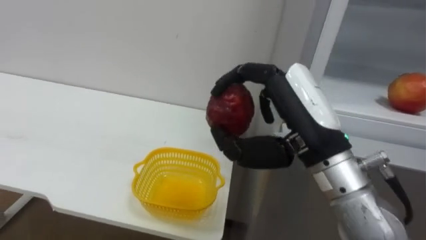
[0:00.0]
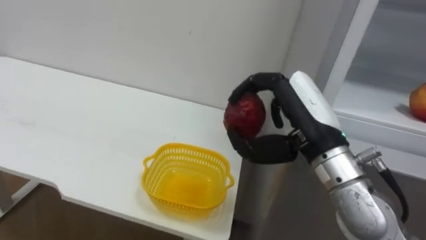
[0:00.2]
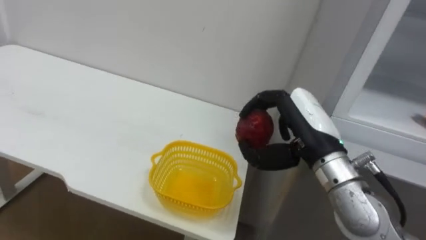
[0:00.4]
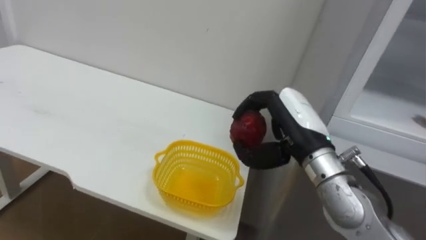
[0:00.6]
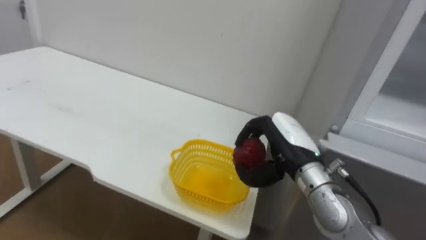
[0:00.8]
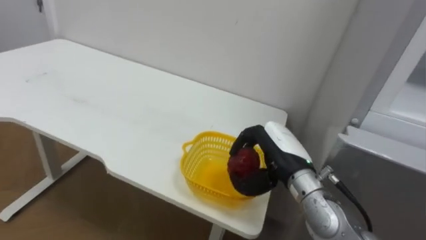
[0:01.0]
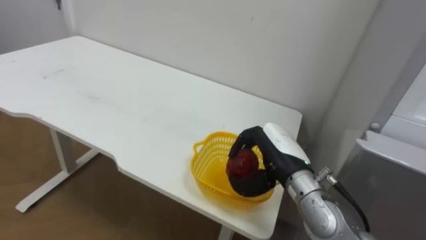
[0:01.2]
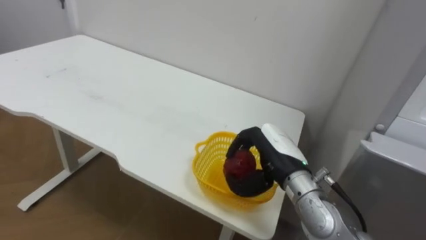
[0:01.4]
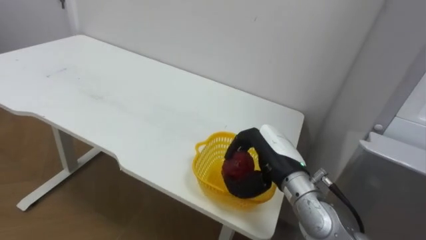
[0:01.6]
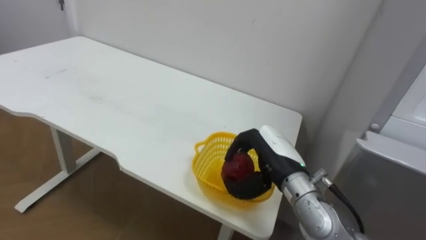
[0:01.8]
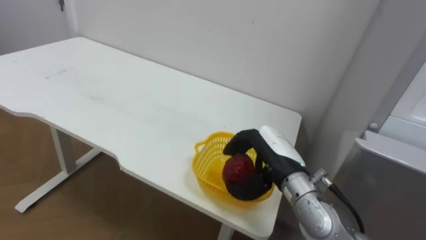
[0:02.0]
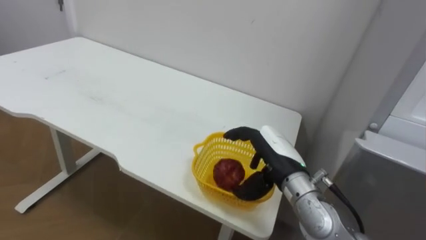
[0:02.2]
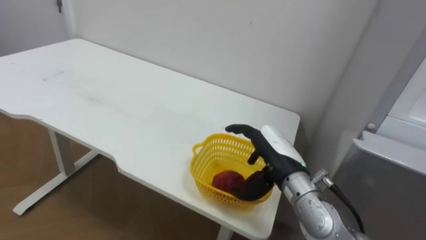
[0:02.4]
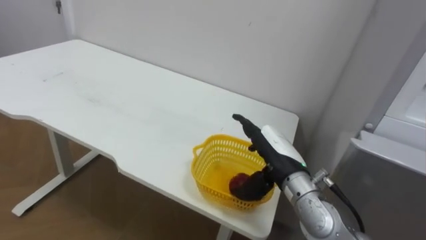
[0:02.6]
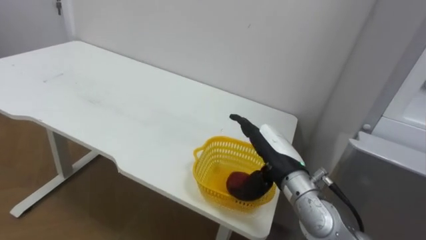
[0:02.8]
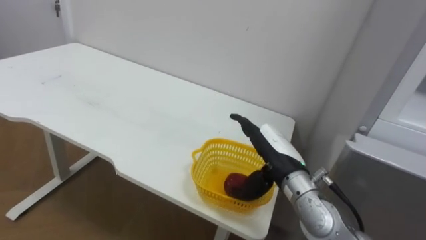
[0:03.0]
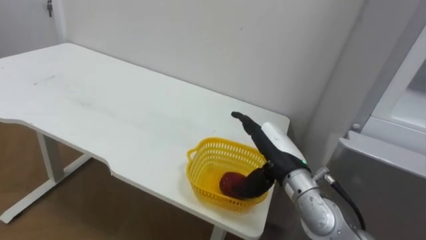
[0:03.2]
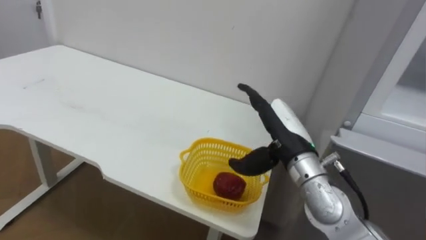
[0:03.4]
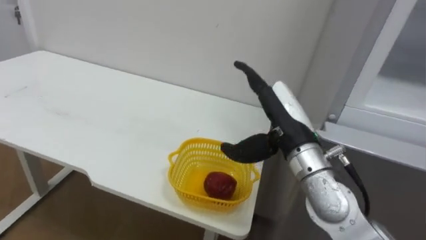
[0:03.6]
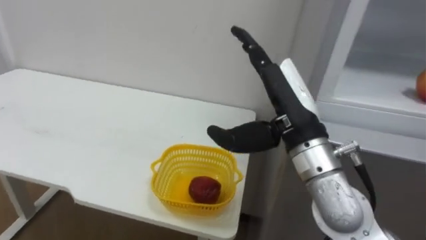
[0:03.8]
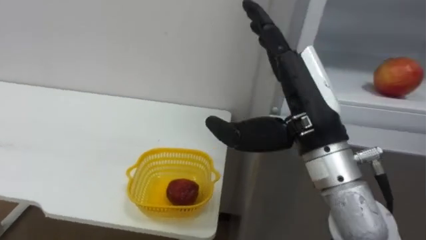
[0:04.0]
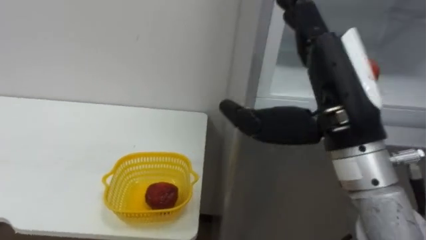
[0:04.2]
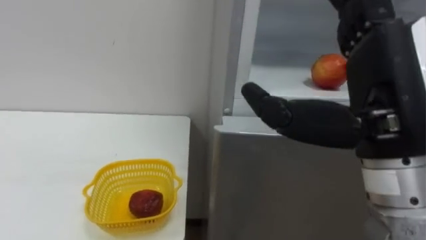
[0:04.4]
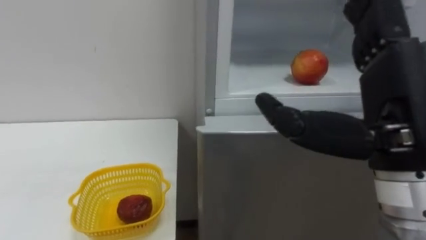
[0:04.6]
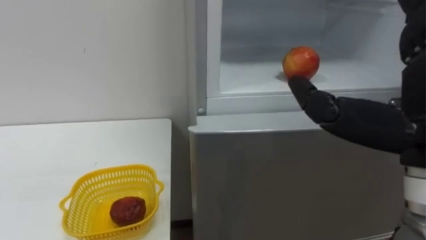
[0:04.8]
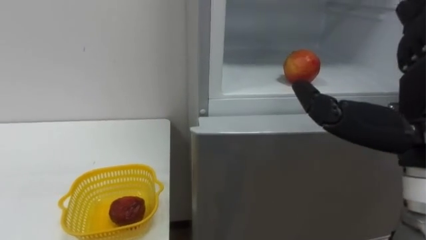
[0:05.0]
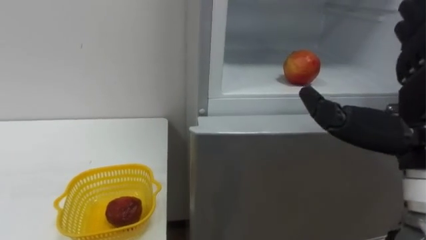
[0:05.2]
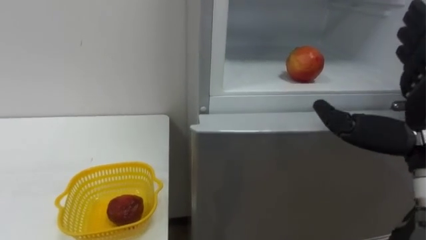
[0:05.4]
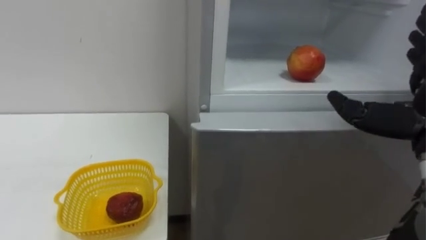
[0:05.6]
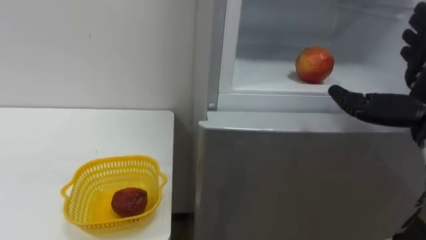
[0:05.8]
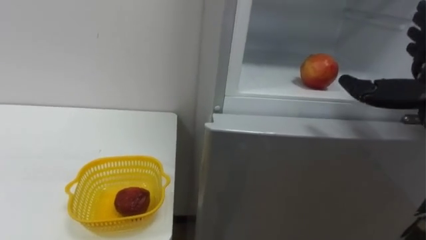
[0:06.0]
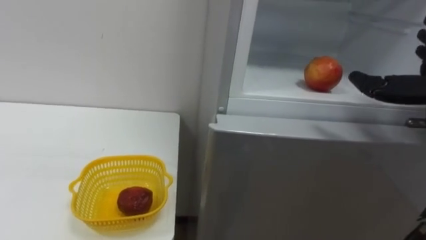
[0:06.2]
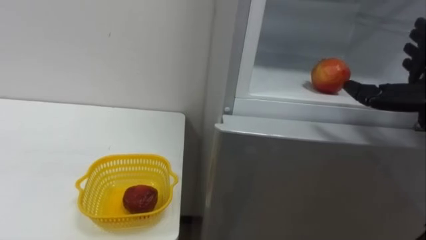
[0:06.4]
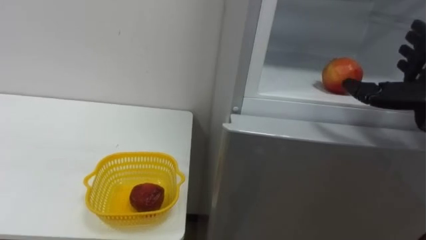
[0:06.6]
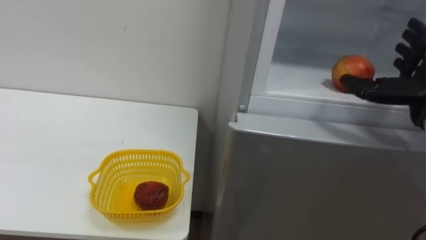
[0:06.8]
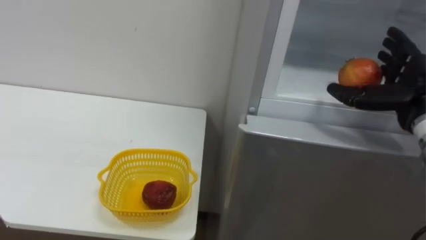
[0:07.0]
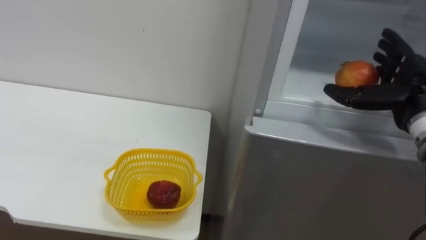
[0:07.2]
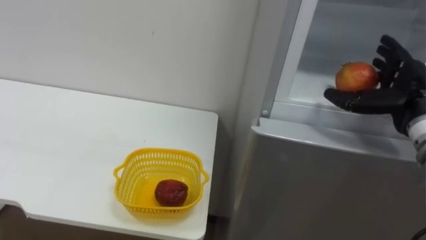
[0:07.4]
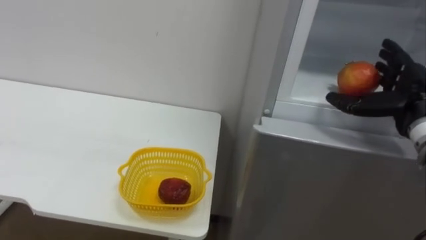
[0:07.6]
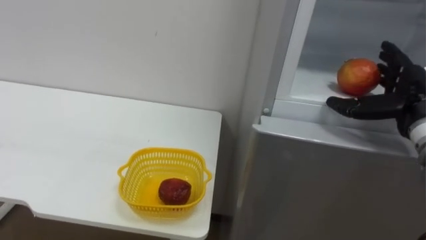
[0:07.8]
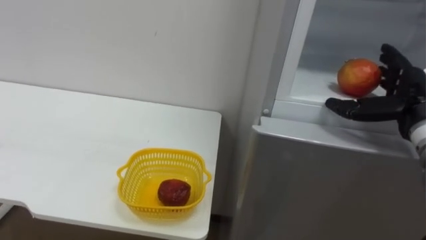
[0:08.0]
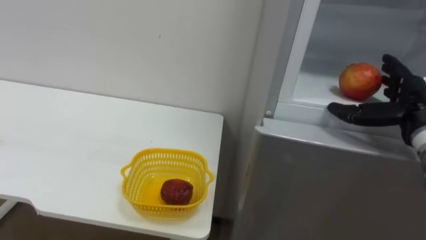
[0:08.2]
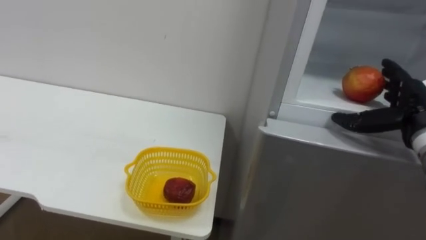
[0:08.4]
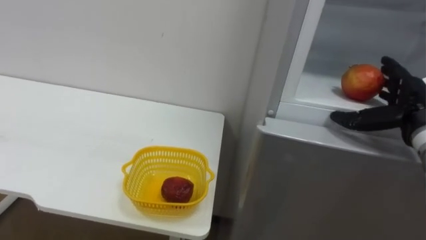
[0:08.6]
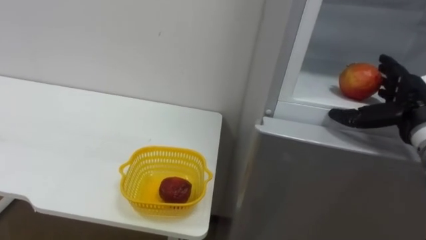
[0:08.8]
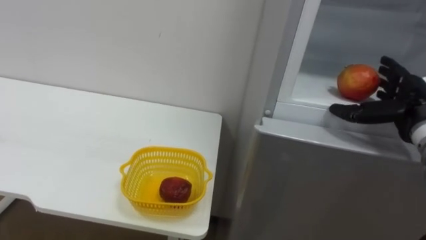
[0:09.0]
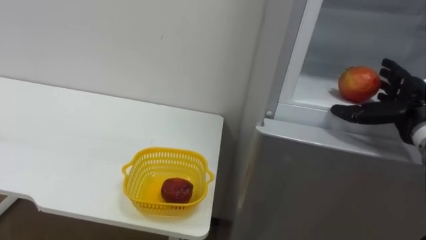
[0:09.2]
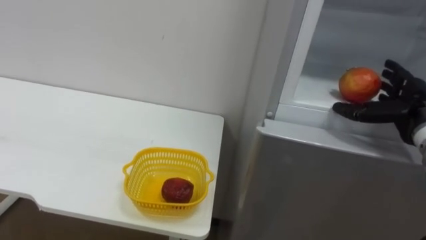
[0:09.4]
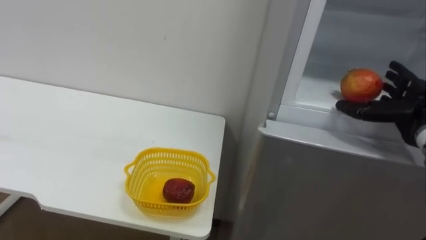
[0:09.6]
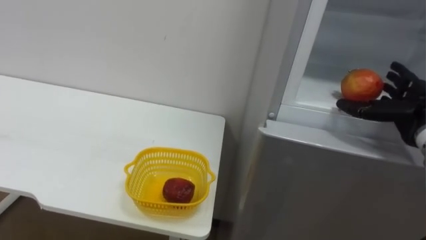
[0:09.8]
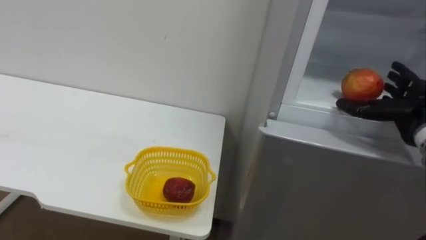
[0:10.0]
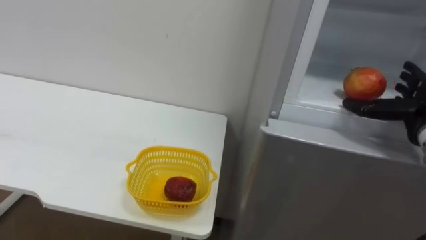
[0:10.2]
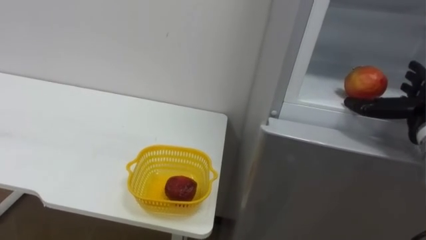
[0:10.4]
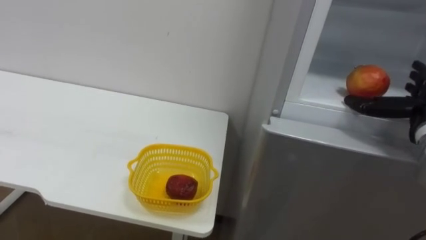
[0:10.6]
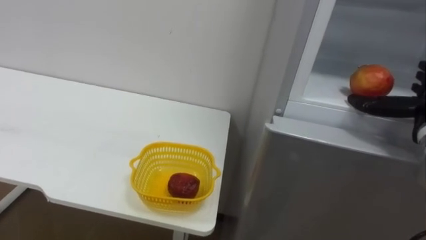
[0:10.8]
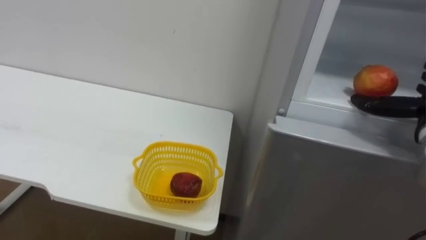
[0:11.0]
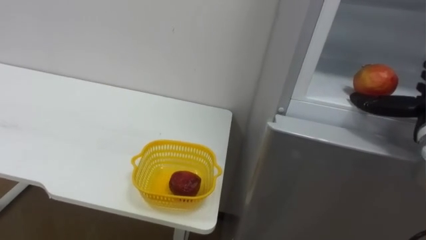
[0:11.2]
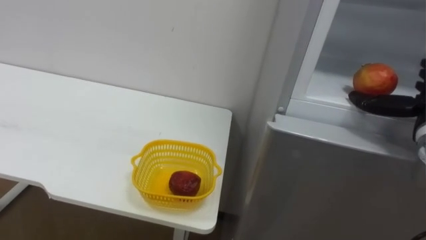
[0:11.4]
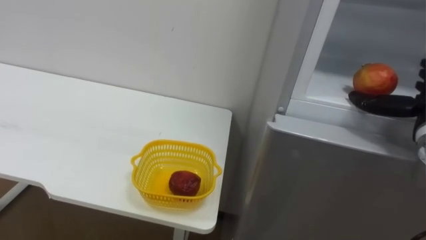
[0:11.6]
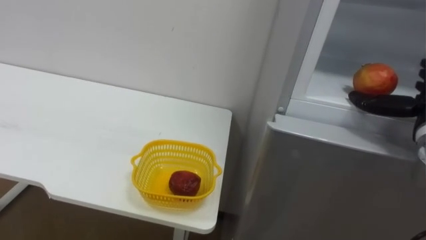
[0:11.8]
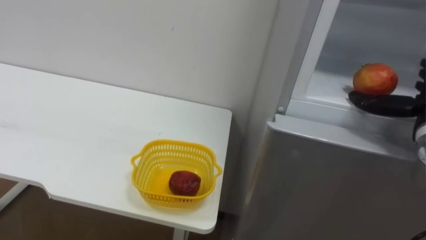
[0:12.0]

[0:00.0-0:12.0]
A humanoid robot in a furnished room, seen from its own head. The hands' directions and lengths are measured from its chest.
Task of the whole recording: Open the refrigerator door, take out the apple and the pomegranate, place them in the fruit basket on the left, and close the refrigerator door.
0:00.0 to 0:01.6: The right hand is displaced downward and forward by approximately 15 cm.
0:01.6 to 0:03.0: The right hand opens up.
0:03.0 to 0:04.4: The right hand moves upward and backward, about 25 cm.

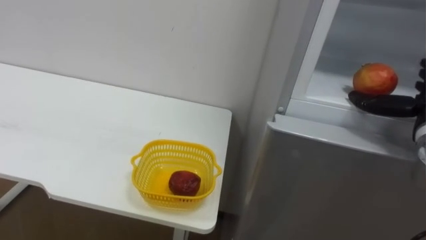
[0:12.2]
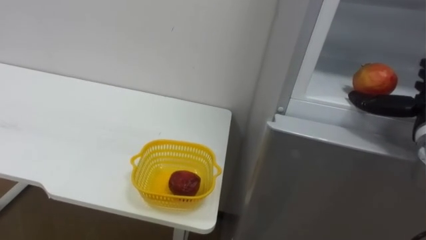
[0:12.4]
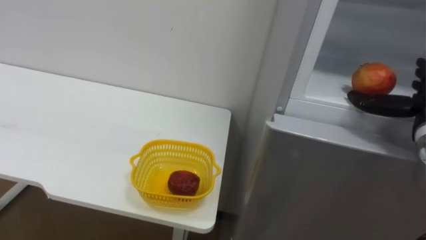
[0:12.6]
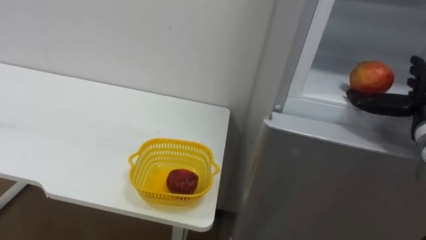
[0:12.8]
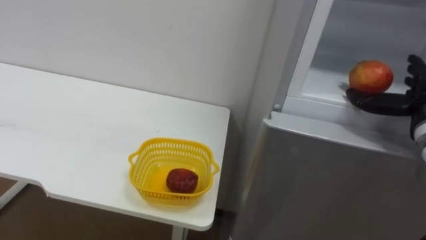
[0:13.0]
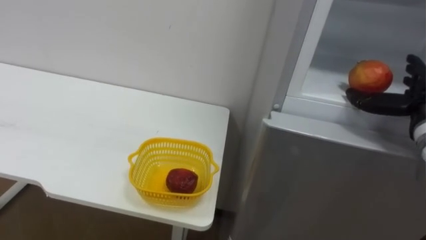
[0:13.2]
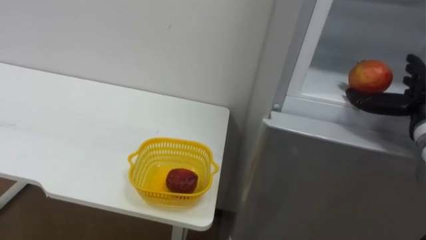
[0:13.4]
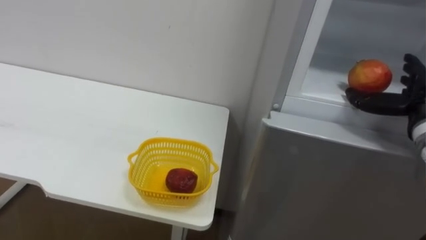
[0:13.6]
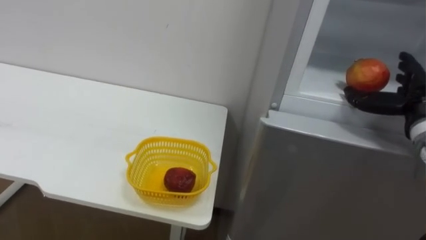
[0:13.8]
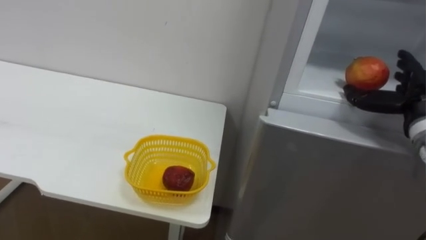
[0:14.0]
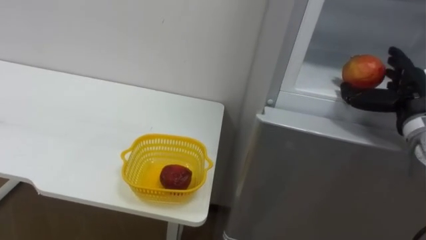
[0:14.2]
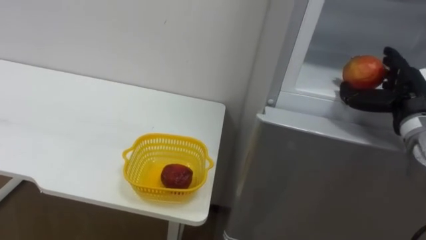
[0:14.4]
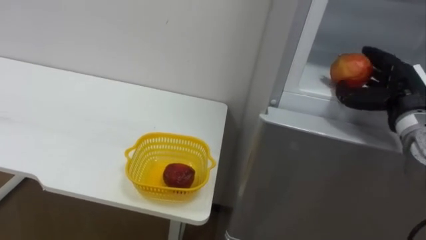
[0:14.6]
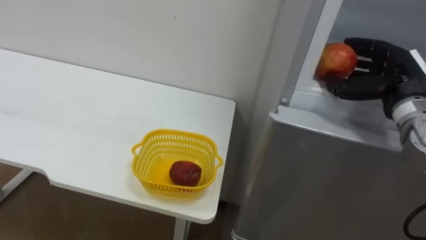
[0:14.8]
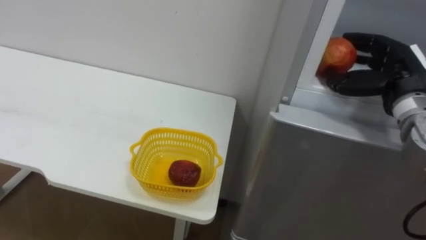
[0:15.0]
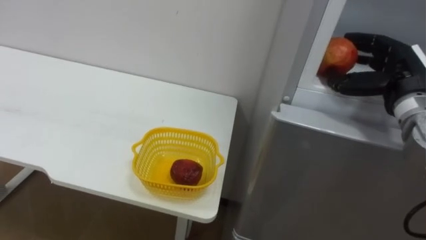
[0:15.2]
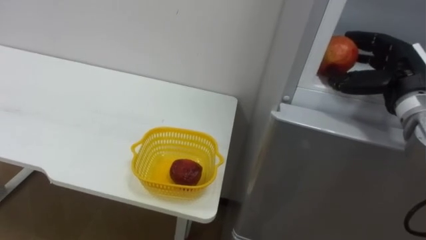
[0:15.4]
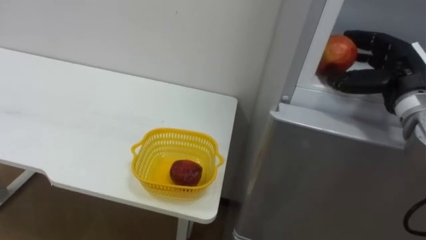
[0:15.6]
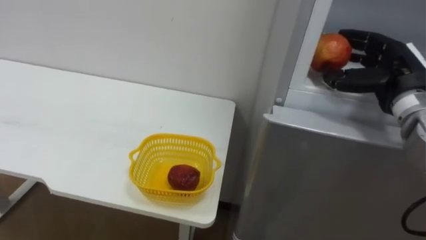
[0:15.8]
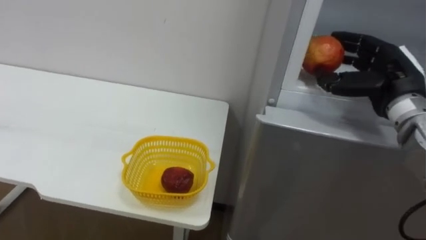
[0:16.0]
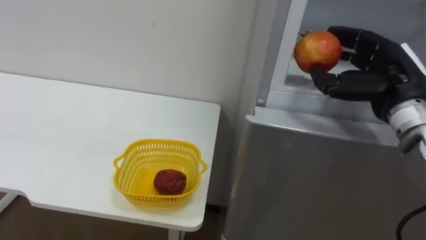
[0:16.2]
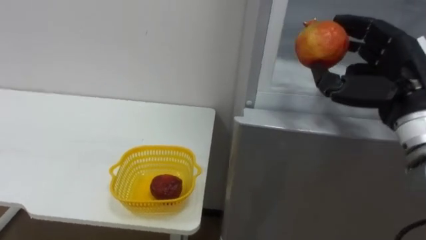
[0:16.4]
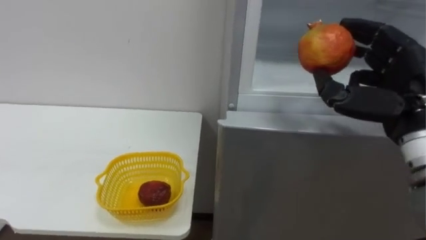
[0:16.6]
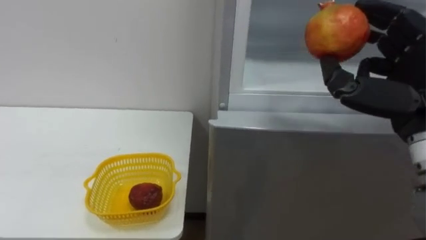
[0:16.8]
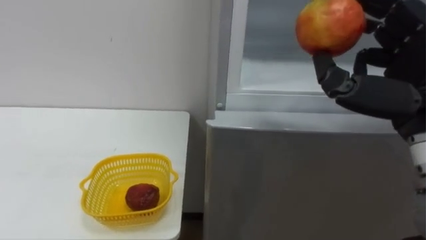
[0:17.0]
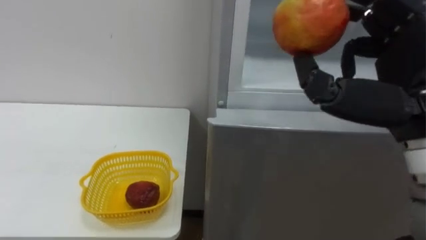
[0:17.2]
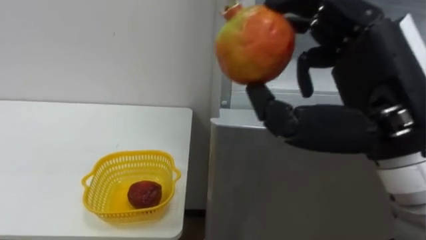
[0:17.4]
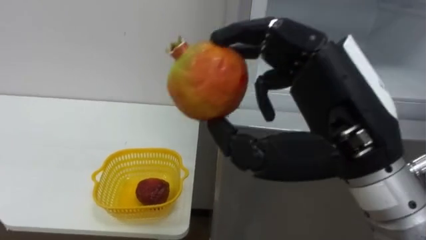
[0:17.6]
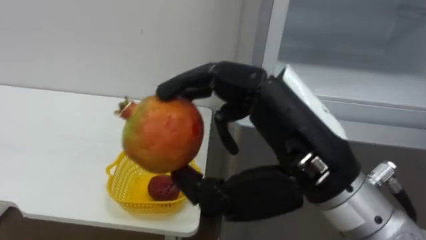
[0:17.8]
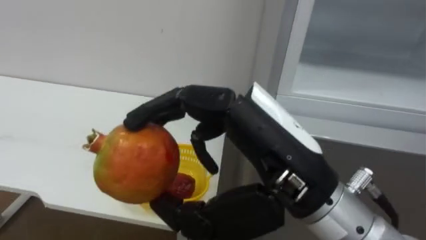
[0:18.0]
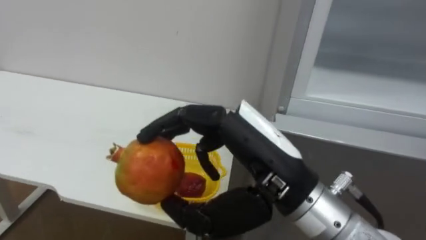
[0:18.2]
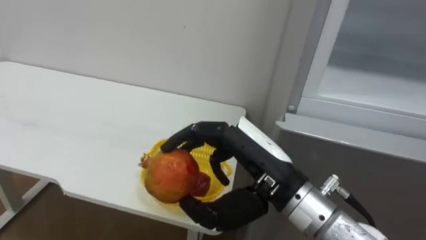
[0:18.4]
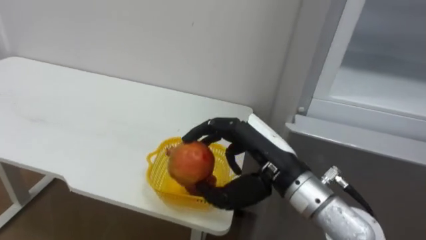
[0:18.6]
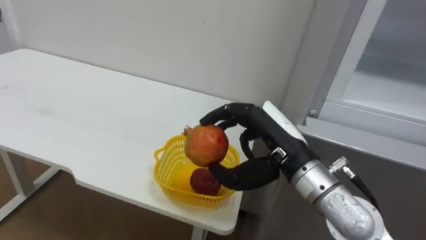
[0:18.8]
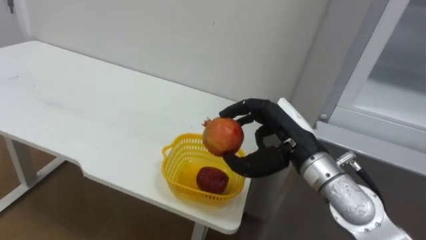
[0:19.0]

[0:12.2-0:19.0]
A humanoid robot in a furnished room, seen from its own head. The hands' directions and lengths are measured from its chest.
Task of the whole recording: Open the refrigerator door, take out the apple and the pomegranate, place them in the fruit basket on the left, and close the refrigerator door.
0:13.6 to 0:15.0: The right hand shifts approximately 5 cm to the left, and closes up.
0:16.2 to 0:17.6: The right hand travels backward and to the left by roughly 20 cm.
0:17.6 to 0:19.0: The right hand heads forward and downward, covering roughly 15 cm.
